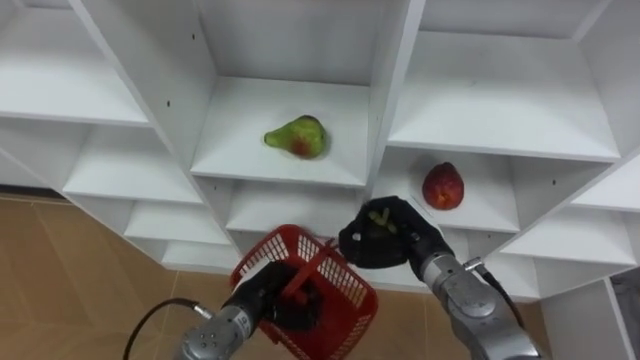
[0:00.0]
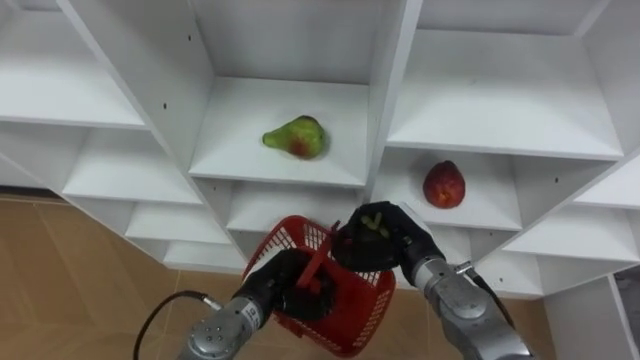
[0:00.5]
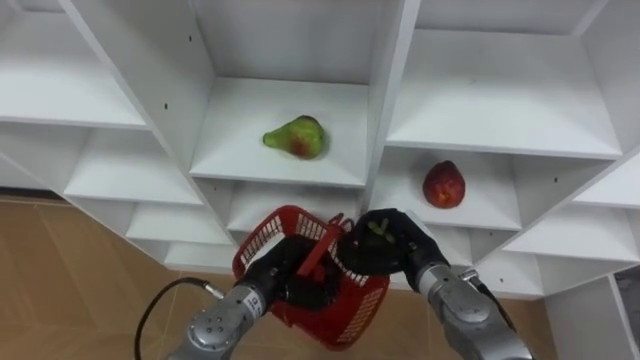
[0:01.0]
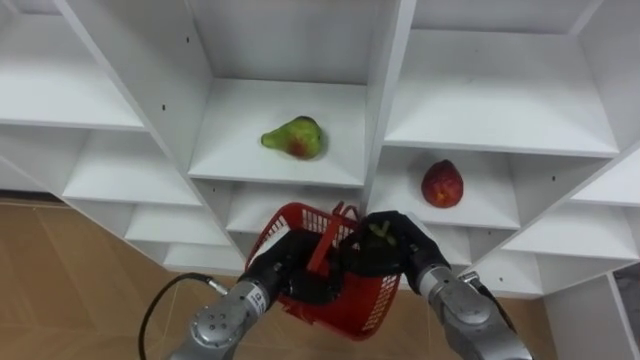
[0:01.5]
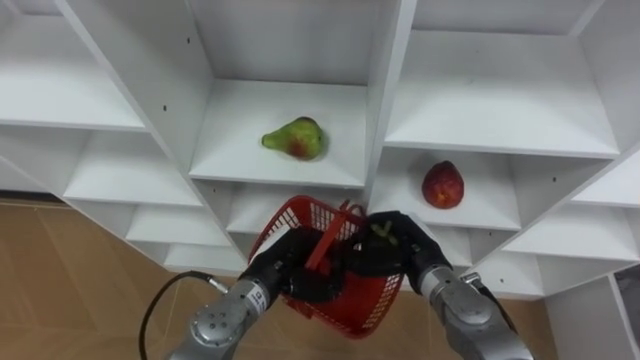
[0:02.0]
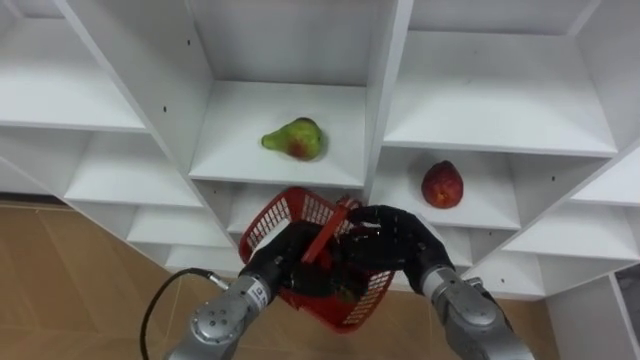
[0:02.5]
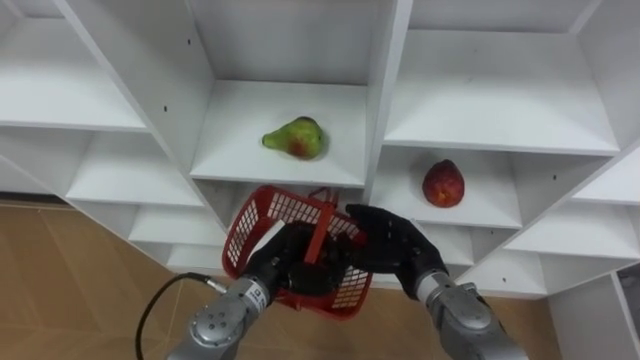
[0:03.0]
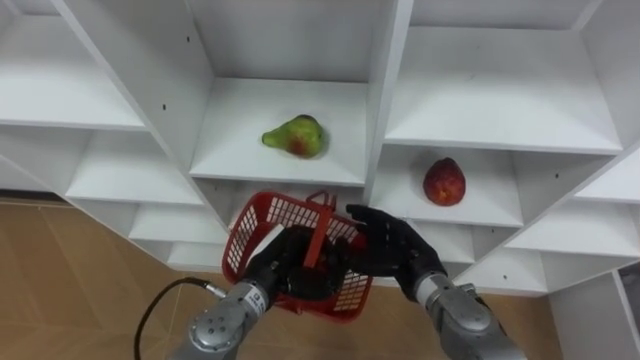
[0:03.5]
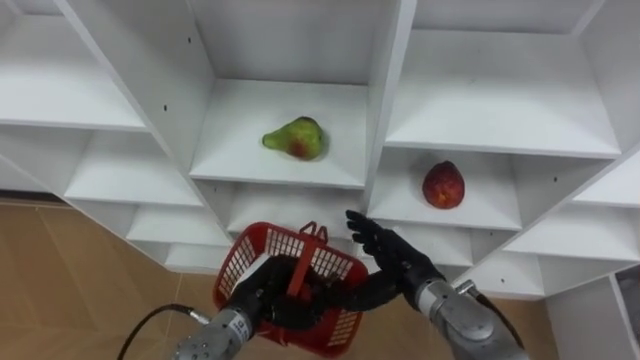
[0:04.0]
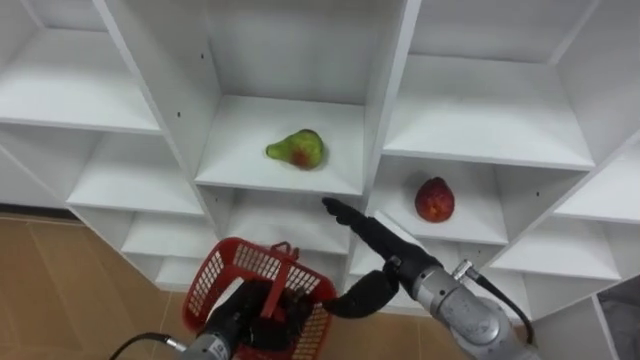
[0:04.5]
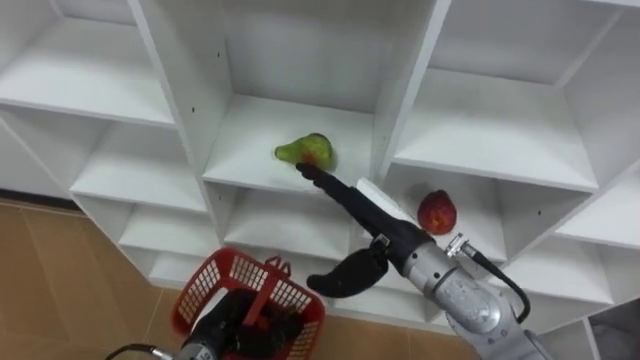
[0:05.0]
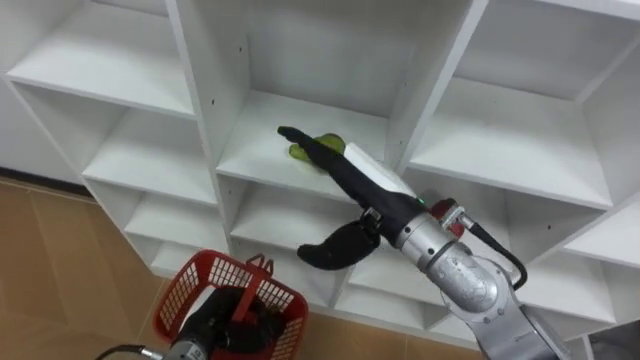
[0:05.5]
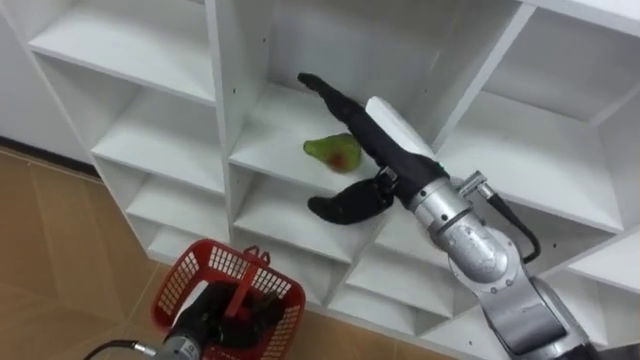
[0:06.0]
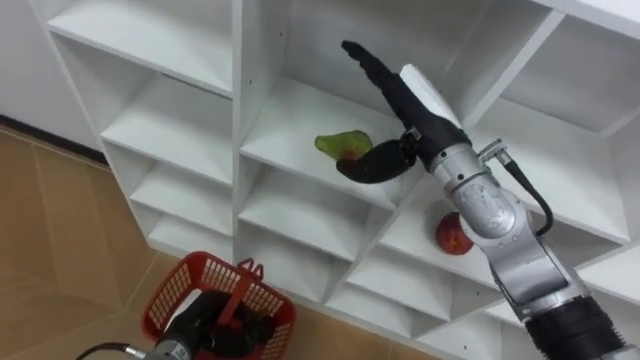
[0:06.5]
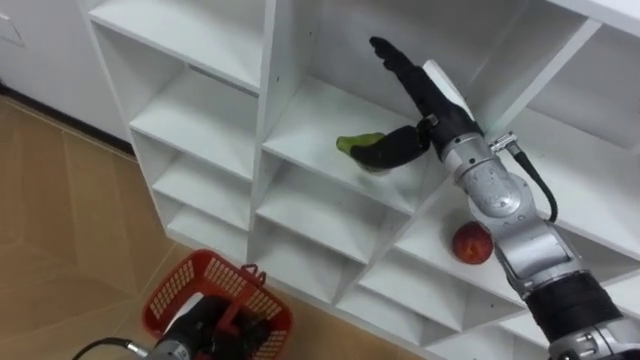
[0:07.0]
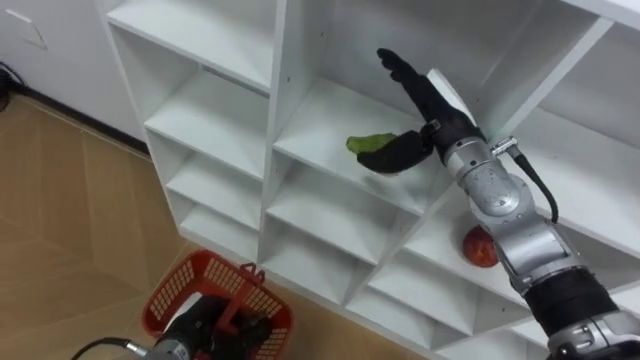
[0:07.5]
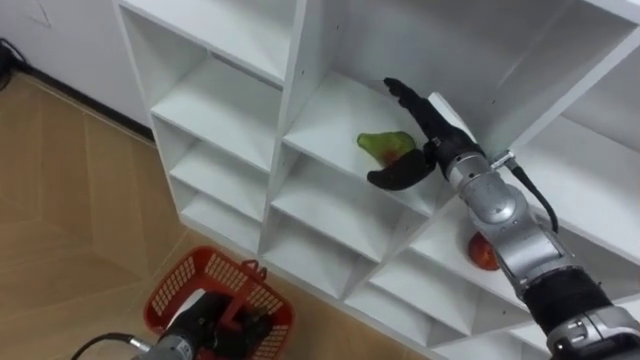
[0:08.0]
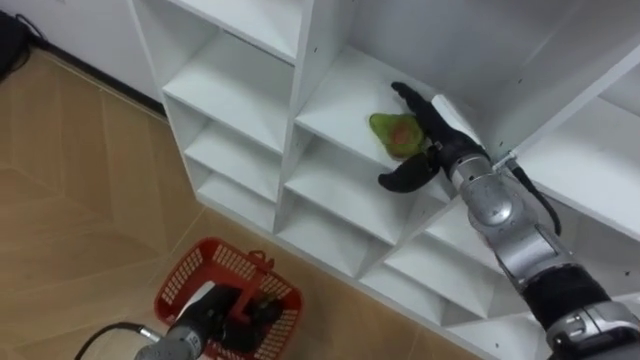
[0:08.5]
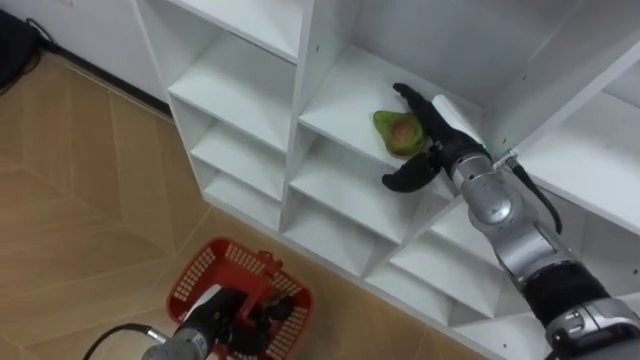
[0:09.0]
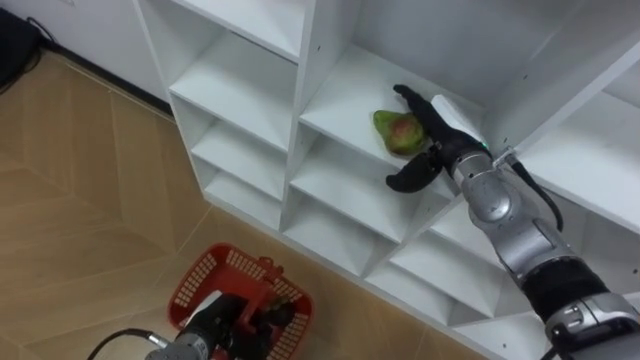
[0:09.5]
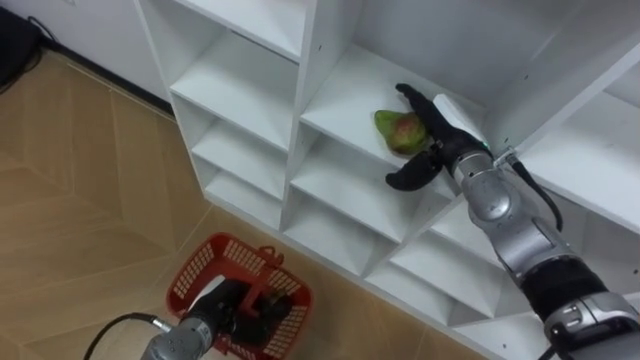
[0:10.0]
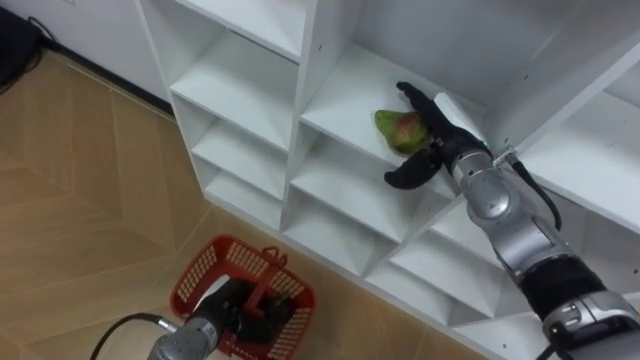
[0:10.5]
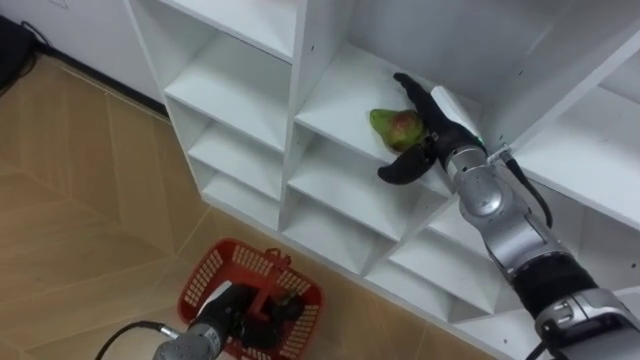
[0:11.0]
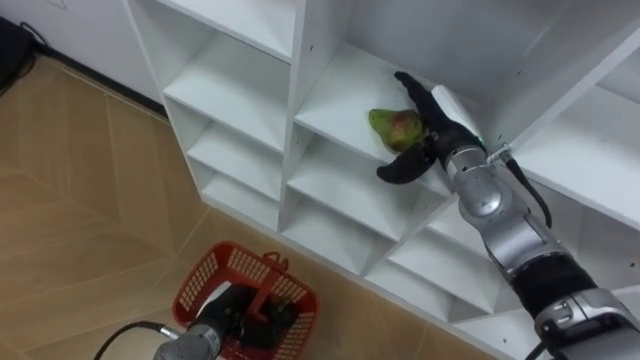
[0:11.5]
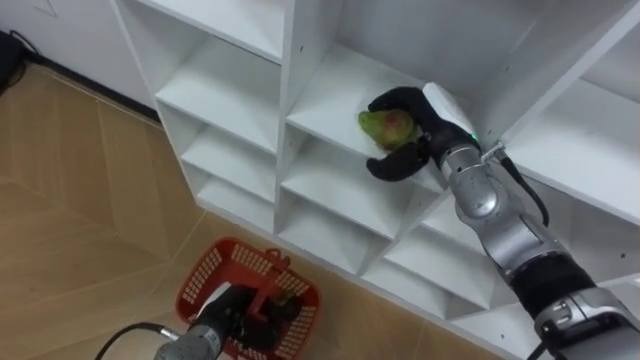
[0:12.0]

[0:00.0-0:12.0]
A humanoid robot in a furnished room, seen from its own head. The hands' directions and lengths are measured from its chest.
Task of the whole recording: Hold the basket and collect the fruits from 3 different cells of the closet into it.
0:00.0 to 0:02.0: The left hand moves upward, approximately 5 cm.
0:02.0 to 0:04.0: The right hand opens up.
0:04.0 to 0:06.0: The left hand travels to the left by approximately 10 cm. Meanwhile the right hand moves upward, about 20 cm.
0:06.0 to 0:08.0: The right hand goes roughly 15 cm forward, to the right and downward.

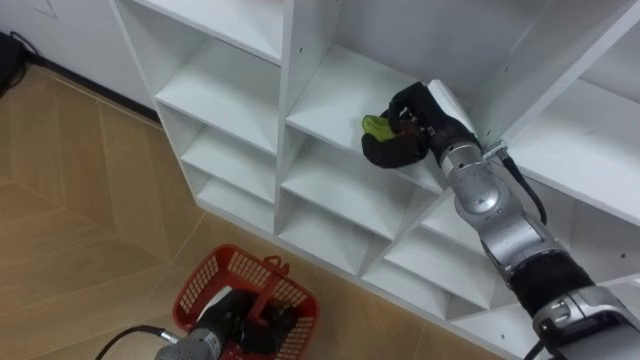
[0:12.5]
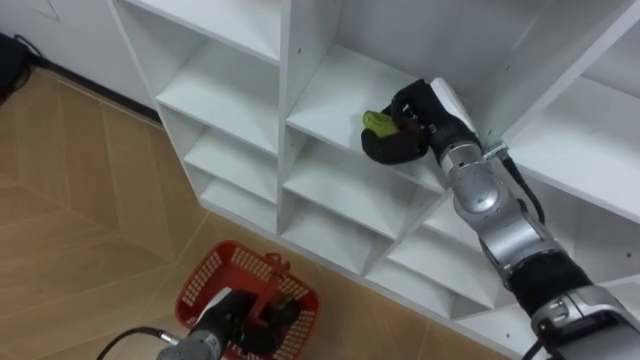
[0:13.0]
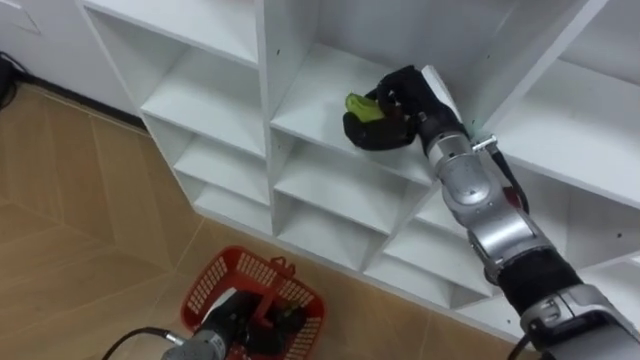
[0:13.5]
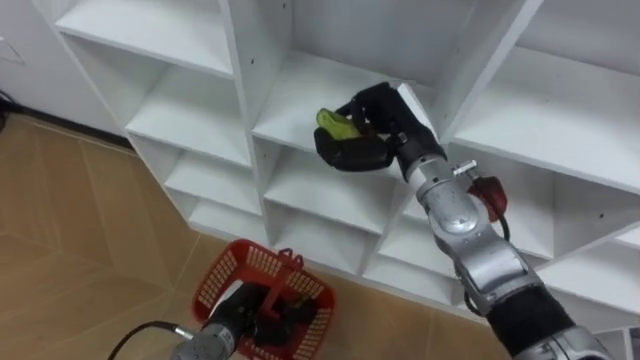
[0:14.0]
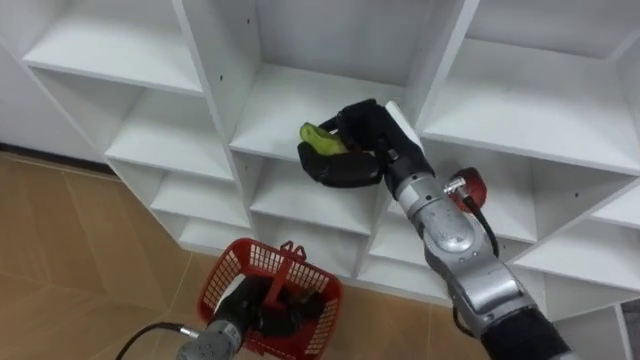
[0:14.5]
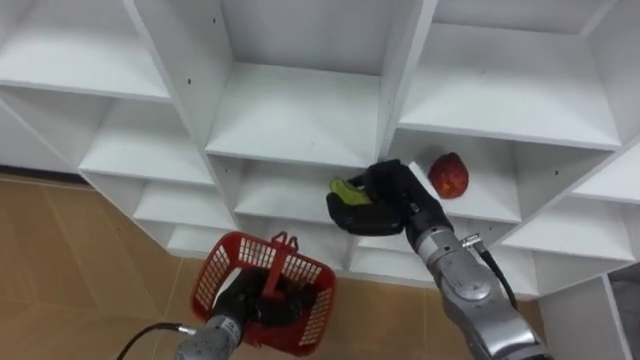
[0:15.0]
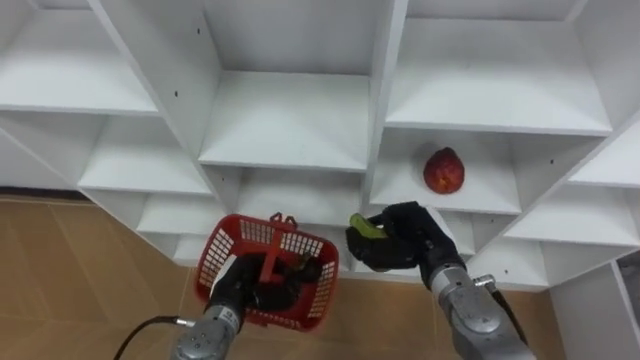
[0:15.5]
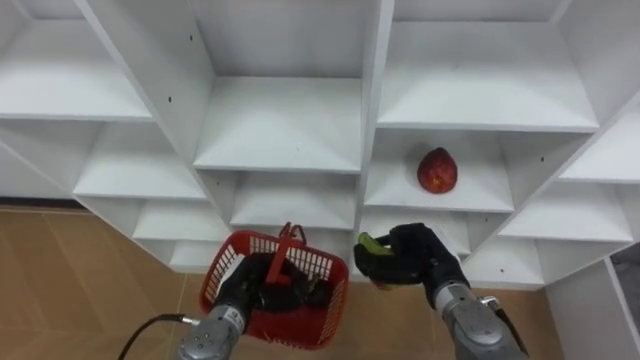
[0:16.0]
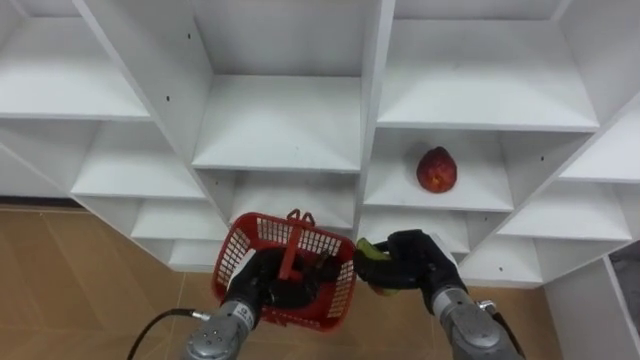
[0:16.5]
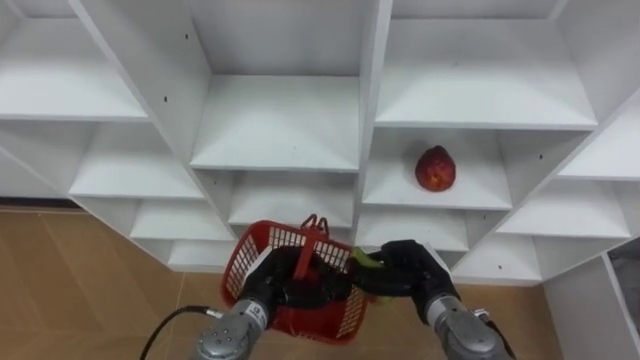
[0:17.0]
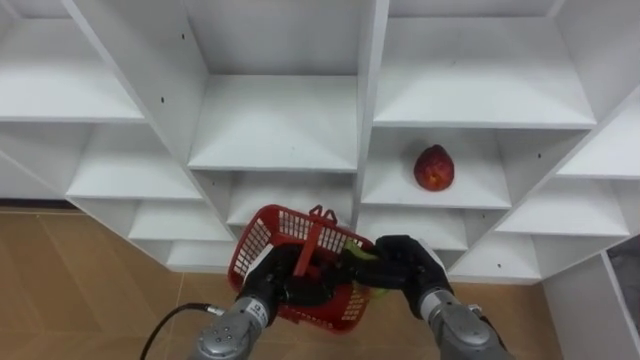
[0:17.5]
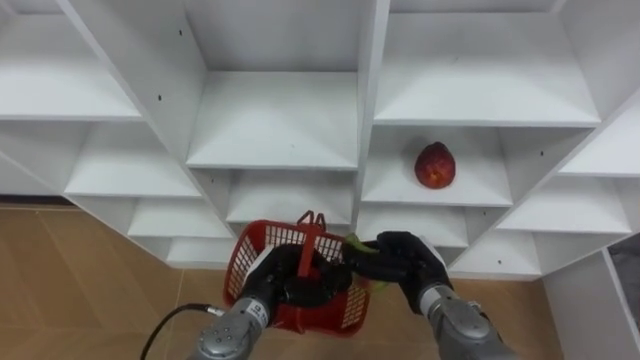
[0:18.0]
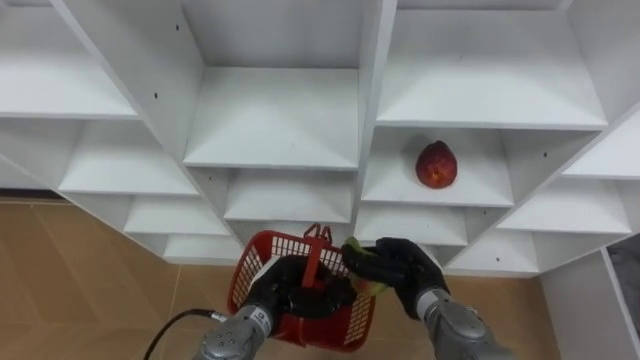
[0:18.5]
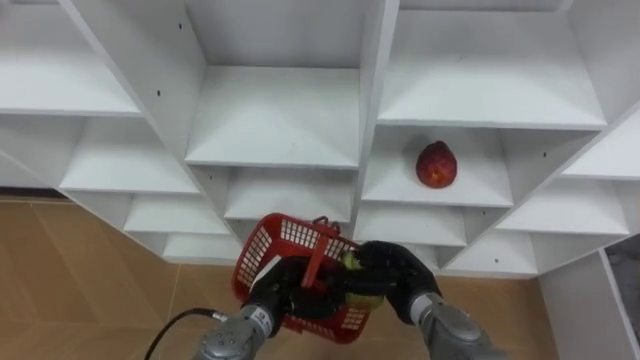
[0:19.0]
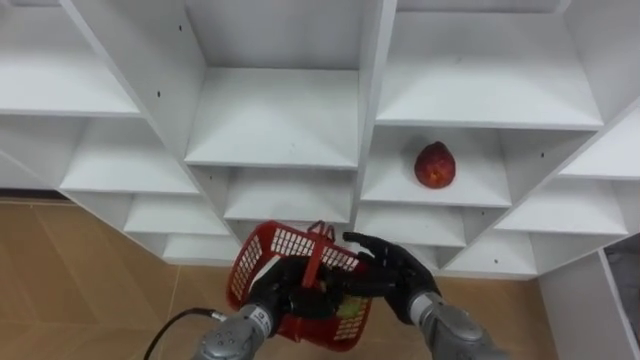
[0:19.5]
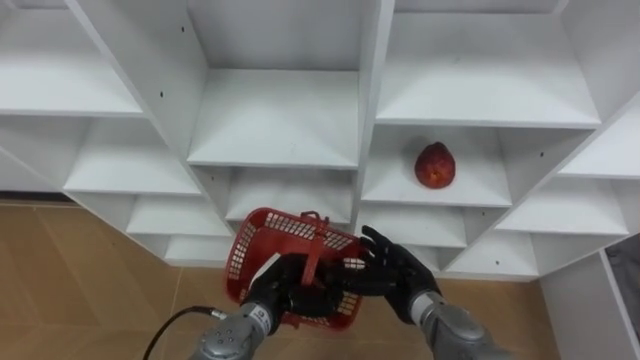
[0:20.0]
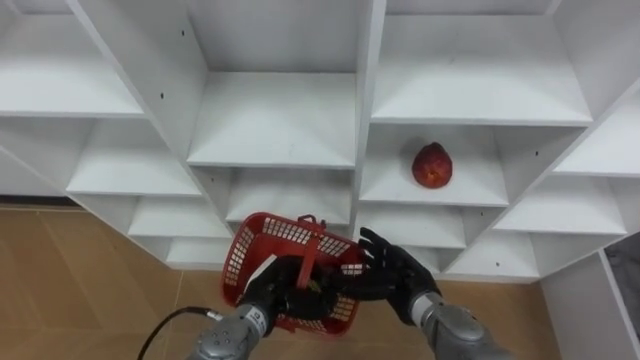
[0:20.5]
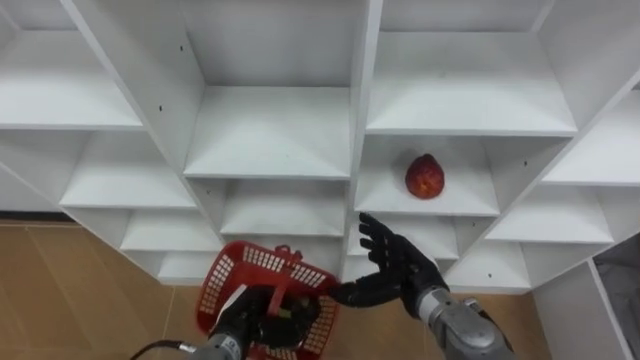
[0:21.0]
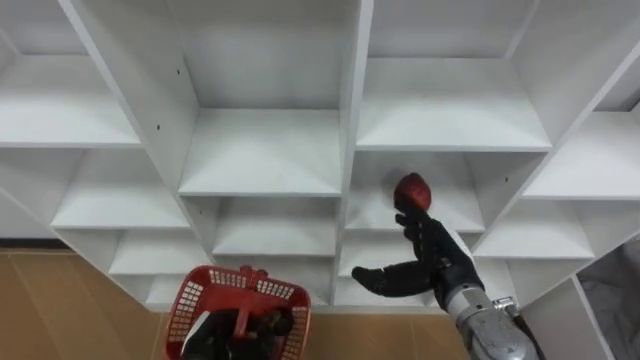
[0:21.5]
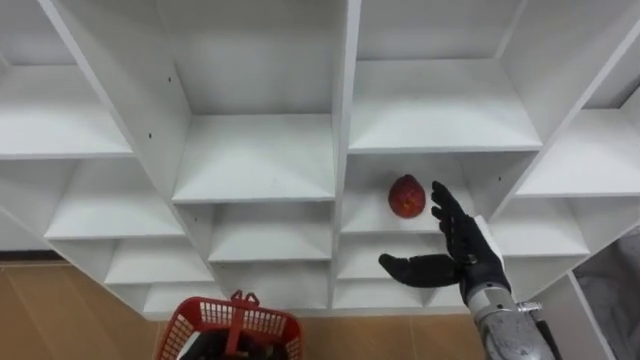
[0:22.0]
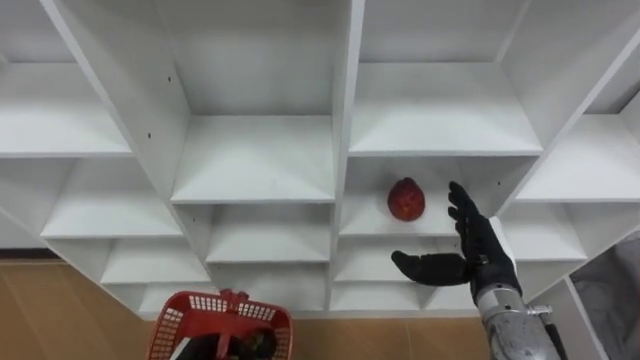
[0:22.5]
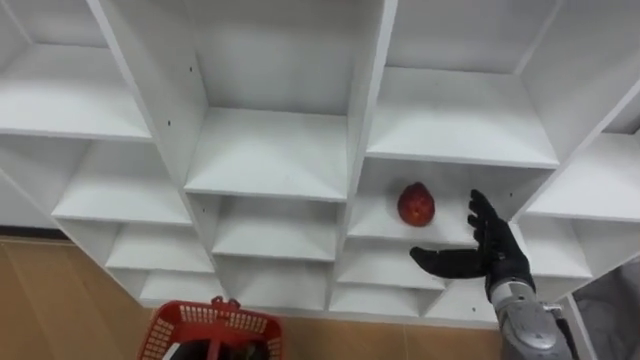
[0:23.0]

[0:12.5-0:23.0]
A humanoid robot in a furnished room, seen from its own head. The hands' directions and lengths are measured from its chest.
Task of the whole recording: Hold the basket and collect the fruits from 3 different cells of the closet into it.
0:12.5 to 0:14.5: The right hand is displaced to the left by some 5 cm.
0:14.5 to 0:16.5: The right hand heads downward and backward, covering about 20 cm.
0:16.5 to 0:19.0: There are only small adjustments of the hands.
0:19.0 to 0:21.0: The left hand moves to the left, approximately 5 cm. Meanwhile the right hand opens its fingers.
0:21.0 to 0:23.0: The right hand travels to the right by some 10 cm.
